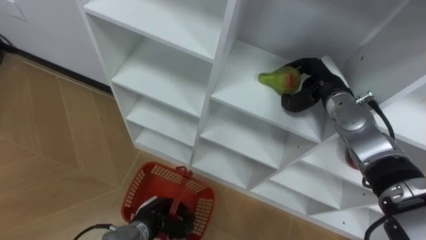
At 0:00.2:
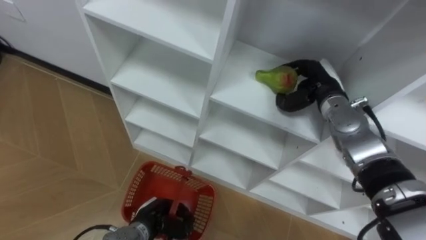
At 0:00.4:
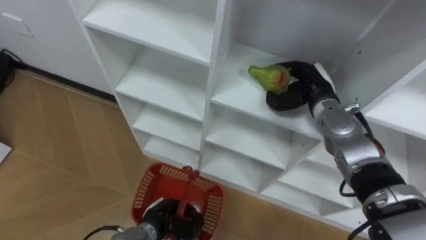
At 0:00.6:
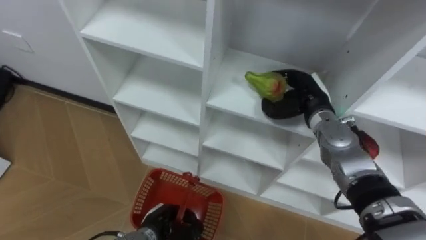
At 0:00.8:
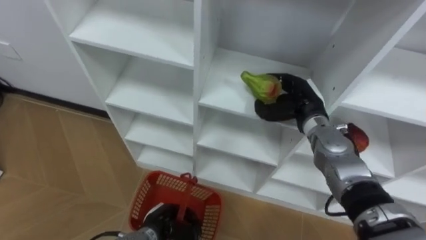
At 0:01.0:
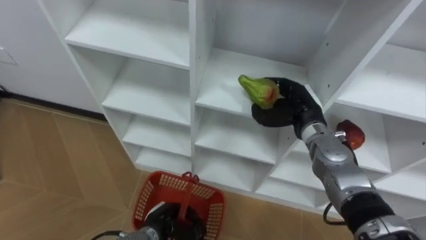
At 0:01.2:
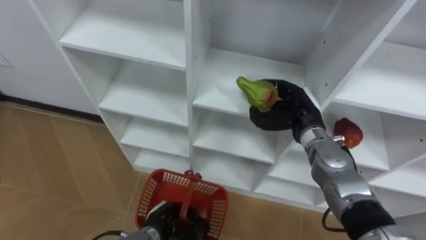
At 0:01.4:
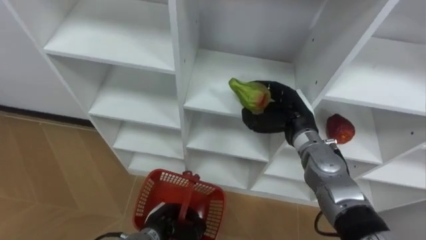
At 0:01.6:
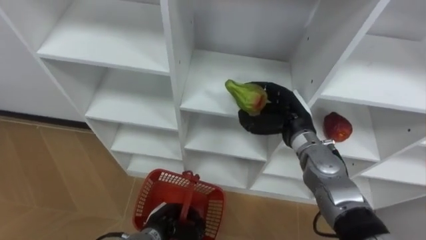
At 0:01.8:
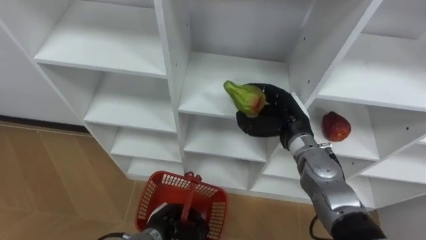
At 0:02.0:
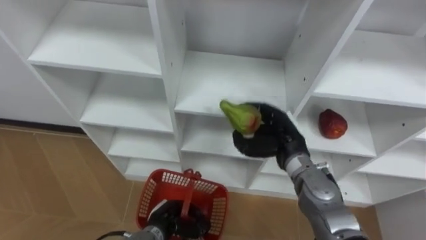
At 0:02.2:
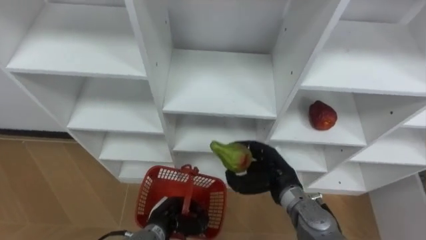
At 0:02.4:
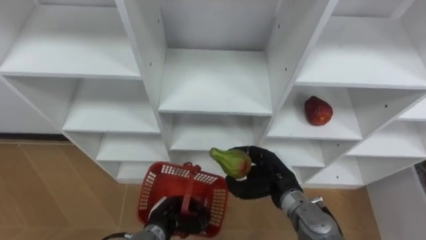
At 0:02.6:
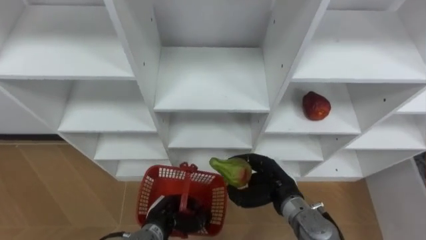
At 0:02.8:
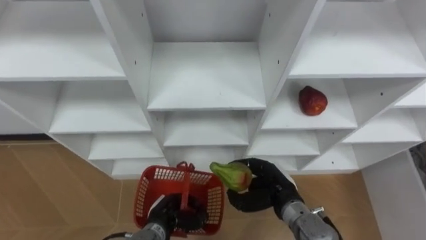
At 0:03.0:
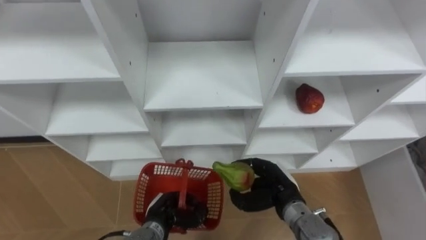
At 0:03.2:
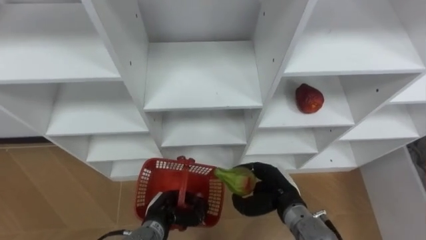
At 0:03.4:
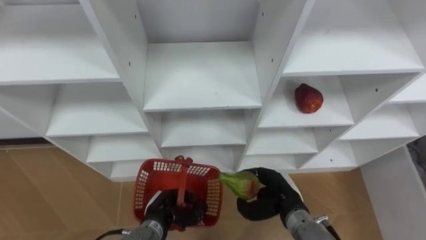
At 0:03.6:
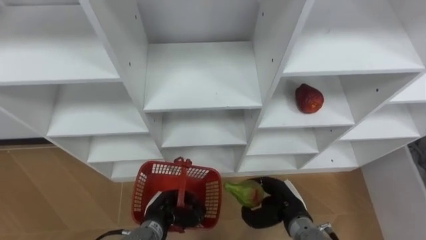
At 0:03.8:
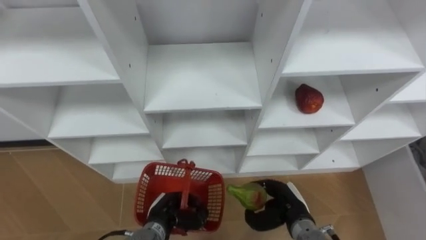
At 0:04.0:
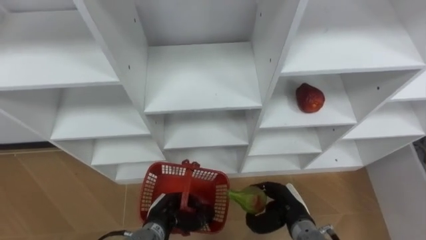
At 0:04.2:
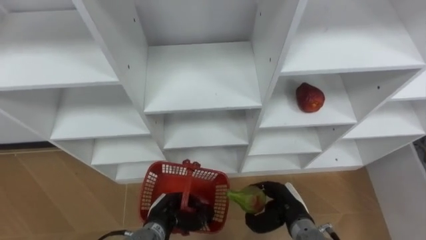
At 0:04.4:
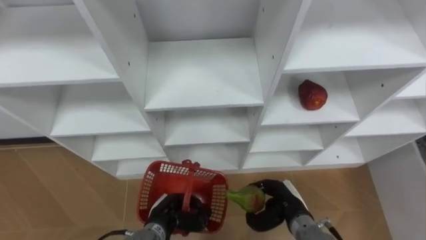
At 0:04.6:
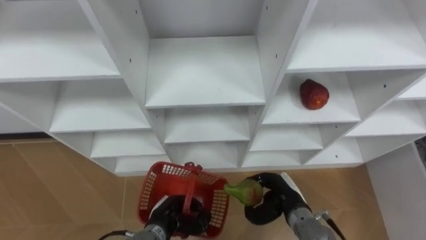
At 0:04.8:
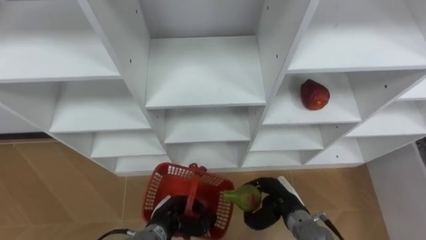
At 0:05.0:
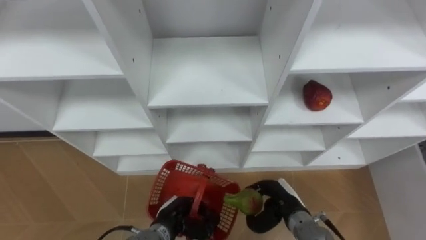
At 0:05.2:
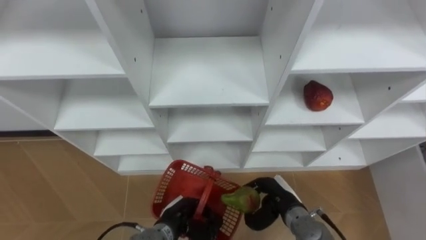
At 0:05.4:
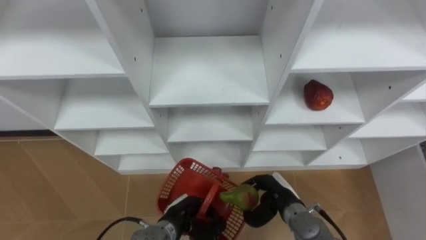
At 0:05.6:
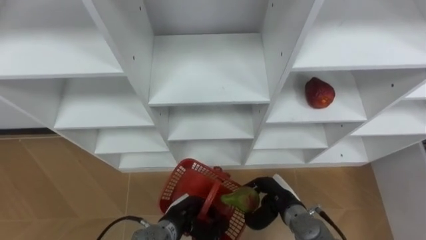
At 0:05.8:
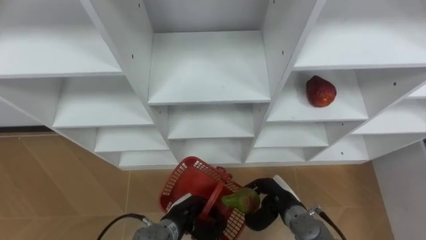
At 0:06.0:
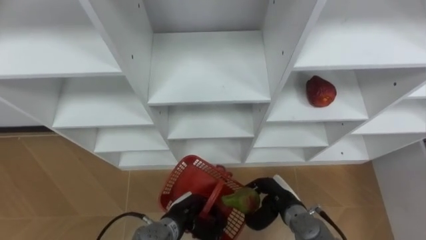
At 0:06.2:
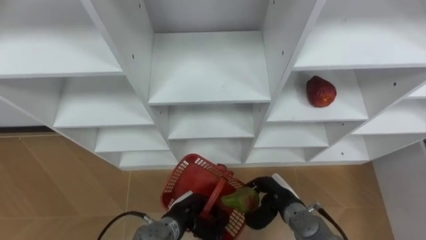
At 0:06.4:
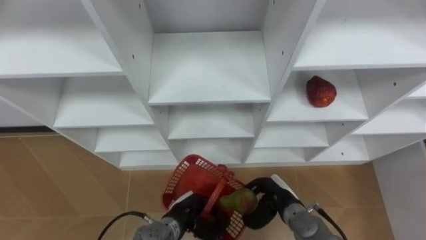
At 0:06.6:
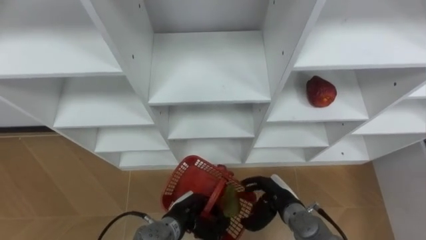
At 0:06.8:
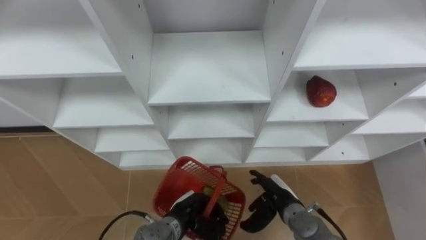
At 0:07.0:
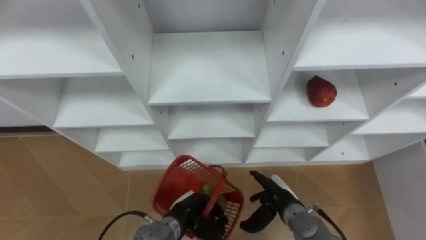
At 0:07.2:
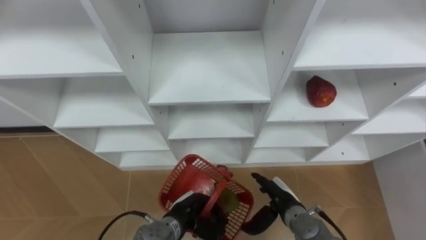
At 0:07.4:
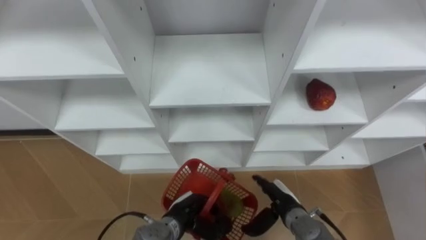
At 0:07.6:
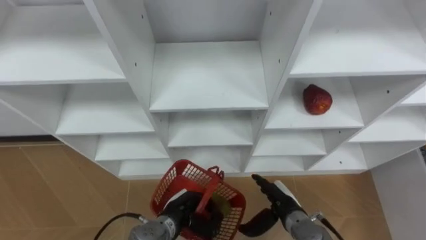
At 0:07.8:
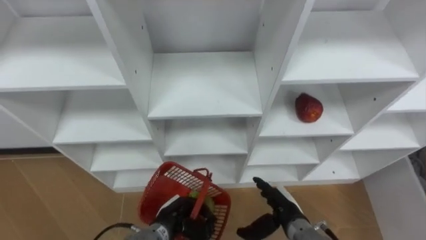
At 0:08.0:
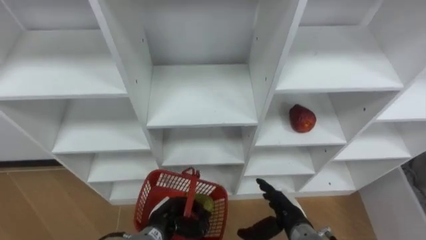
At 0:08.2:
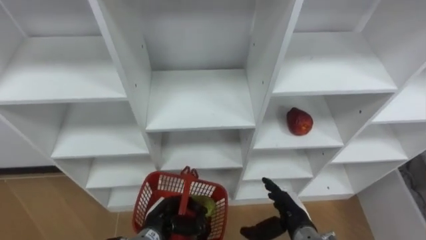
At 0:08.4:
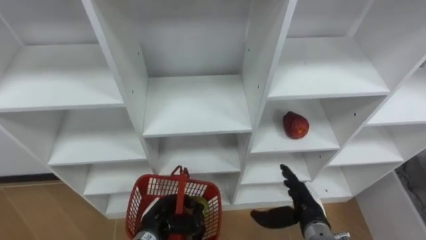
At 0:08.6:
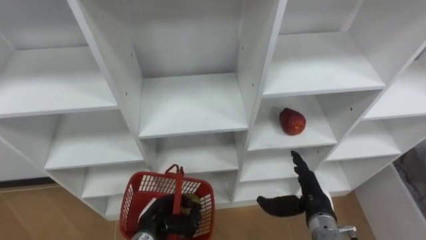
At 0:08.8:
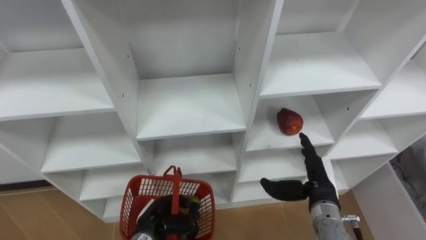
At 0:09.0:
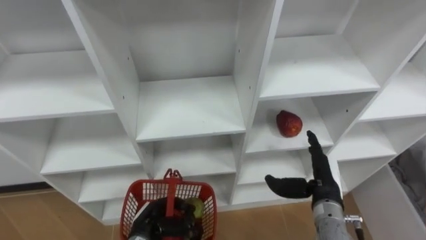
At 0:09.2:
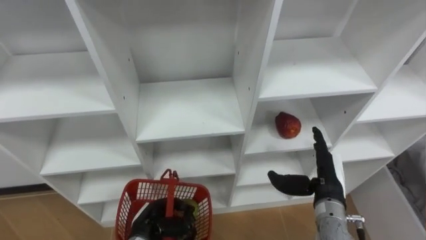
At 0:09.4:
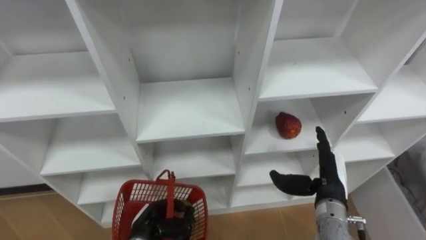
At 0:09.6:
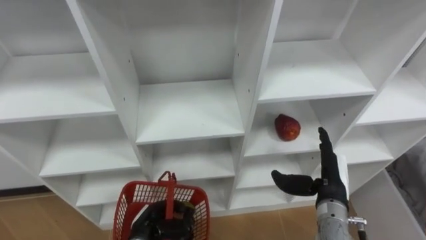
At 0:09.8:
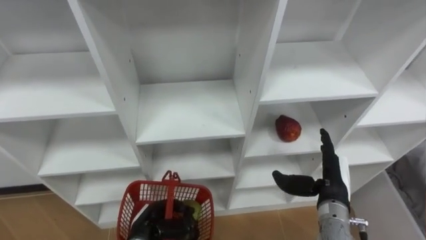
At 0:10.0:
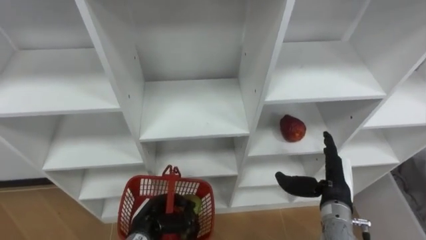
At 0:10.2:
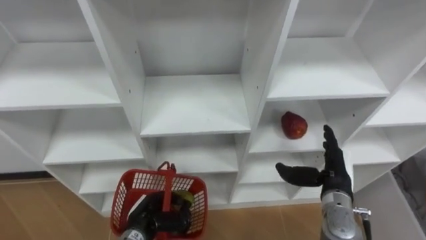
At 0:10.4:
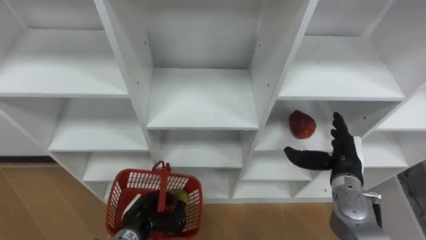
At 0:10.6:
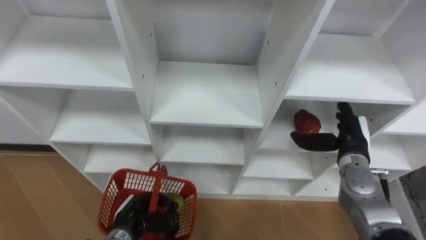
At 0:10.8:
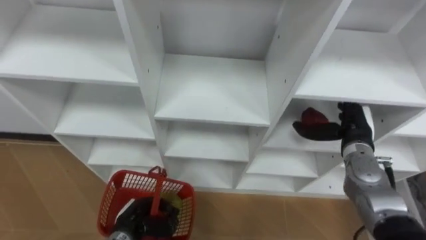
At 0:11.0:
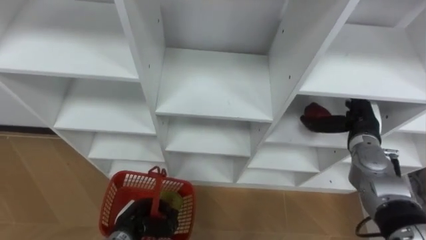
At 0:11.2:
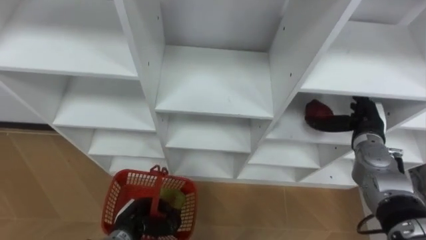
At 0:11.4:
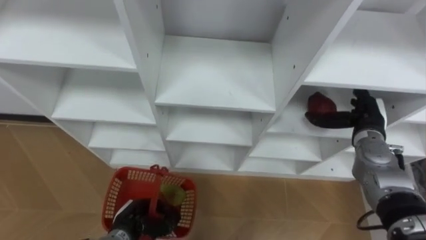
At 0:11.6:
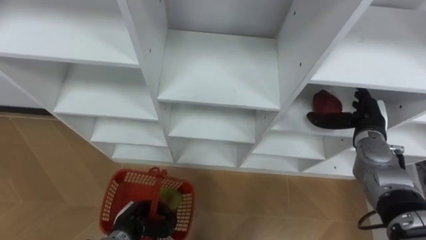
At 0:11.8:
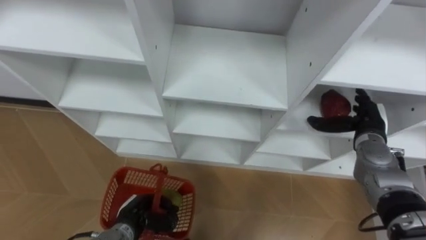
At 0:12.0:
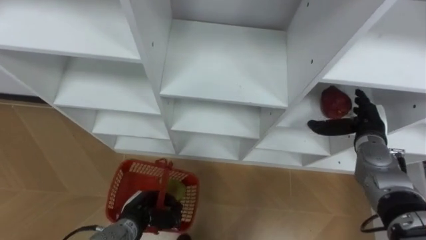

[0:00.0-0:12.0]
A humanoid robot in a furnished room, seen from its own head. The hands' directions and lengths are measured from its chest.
Task of the whole recording: Hold the basket and collect the fruits from 3 different cells of the closet into it.
0:00.0 to 0:01.6: The right hand shifts roughly 10 cm to the left and backward.
0:01.6 to 0:03.0: The right hand moves backward and downward, roughly 15 cm.
0:03.0 to 0:04.4: The right hand ends up about 5 cm from where it was.
0:06.0 to 0:07.6: The right hand opens its fingers.
0:07.6 to 0:09.0: The left hand goes some 5 cm to the left; the right hand heads upward and to the right, covering approximately 10 cm.
0:09.0 to 0:10.4: The right hand shifts by approximately 5 cm.
0:10.4 to 0:12.0: The right hand moves forward and to the right, some 10 cm.

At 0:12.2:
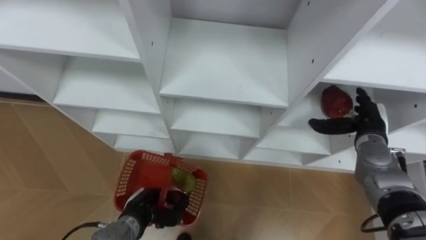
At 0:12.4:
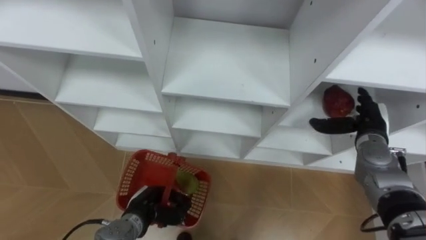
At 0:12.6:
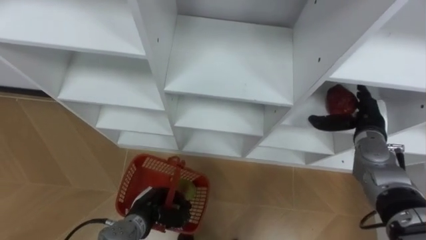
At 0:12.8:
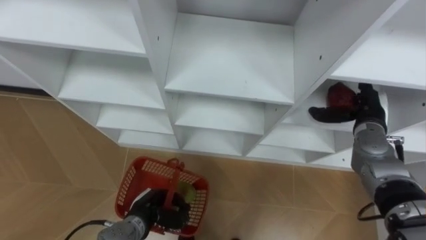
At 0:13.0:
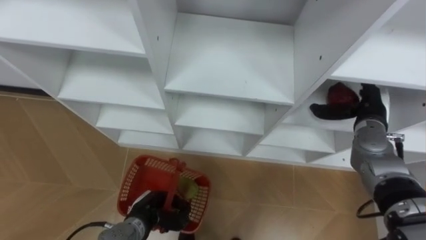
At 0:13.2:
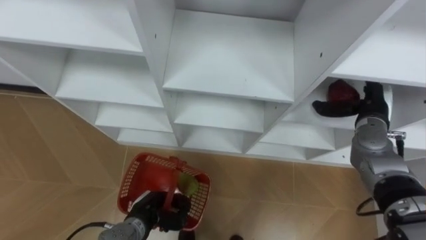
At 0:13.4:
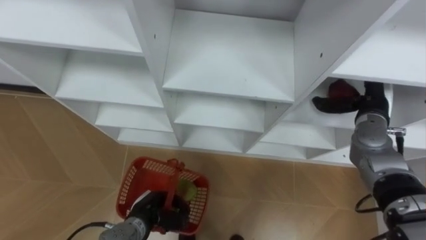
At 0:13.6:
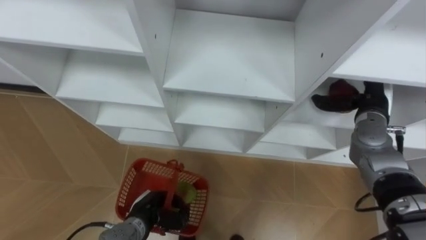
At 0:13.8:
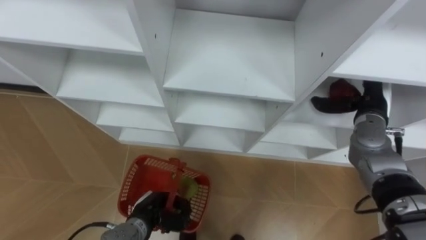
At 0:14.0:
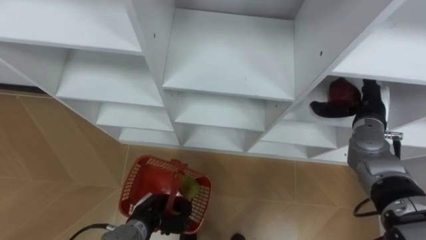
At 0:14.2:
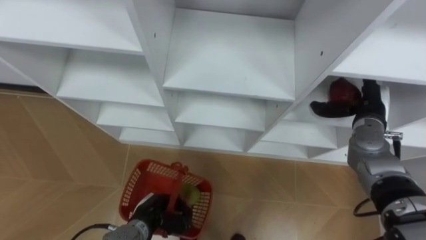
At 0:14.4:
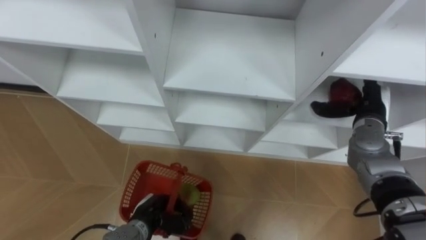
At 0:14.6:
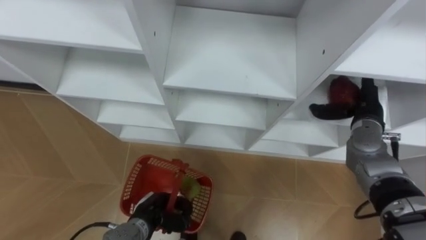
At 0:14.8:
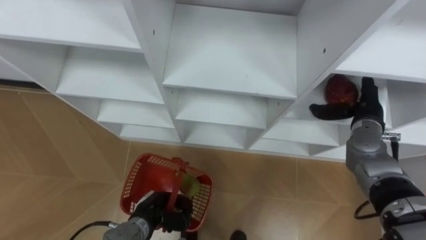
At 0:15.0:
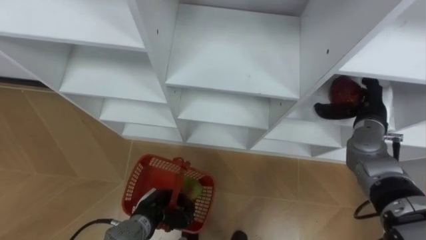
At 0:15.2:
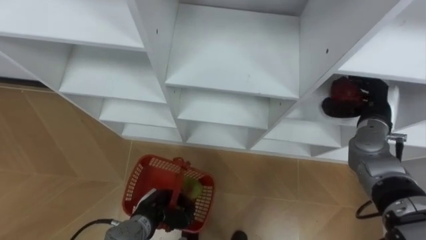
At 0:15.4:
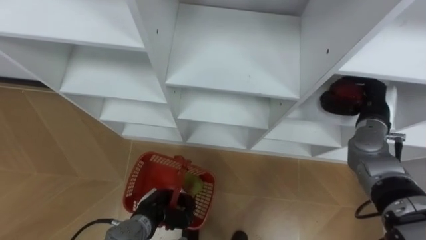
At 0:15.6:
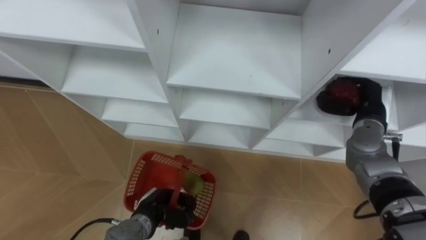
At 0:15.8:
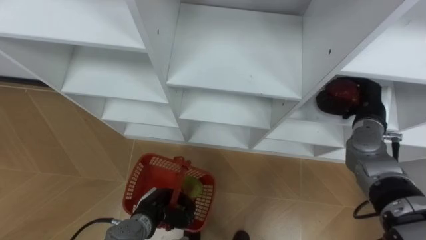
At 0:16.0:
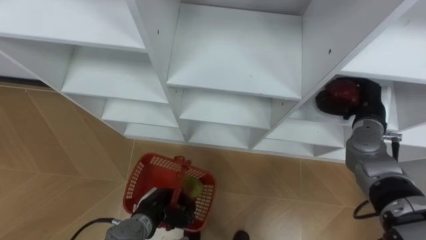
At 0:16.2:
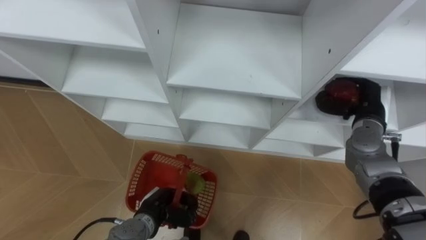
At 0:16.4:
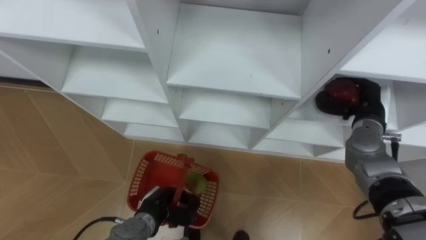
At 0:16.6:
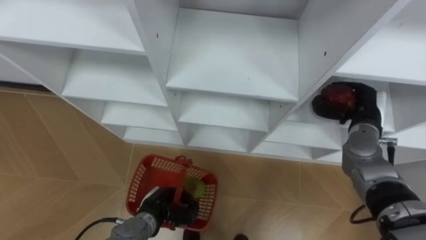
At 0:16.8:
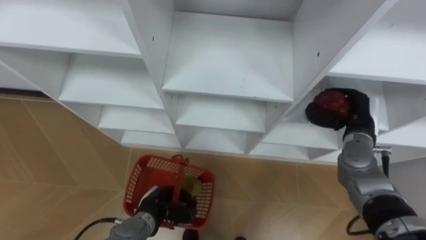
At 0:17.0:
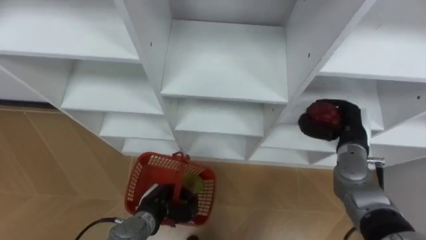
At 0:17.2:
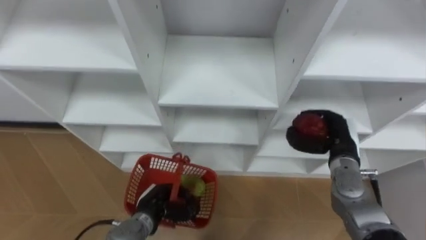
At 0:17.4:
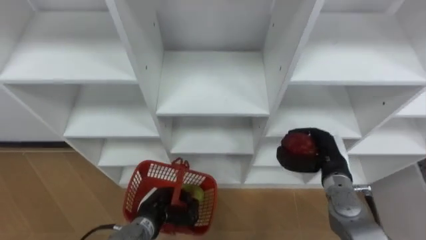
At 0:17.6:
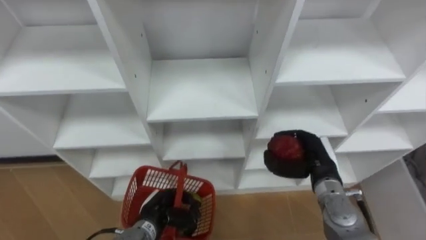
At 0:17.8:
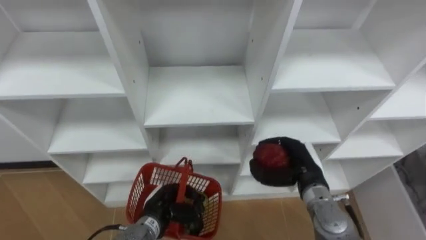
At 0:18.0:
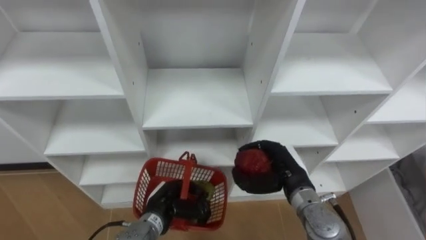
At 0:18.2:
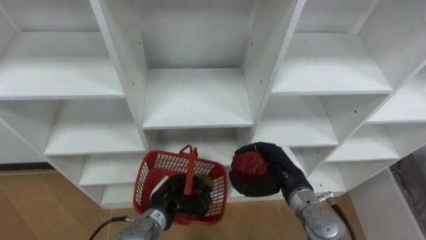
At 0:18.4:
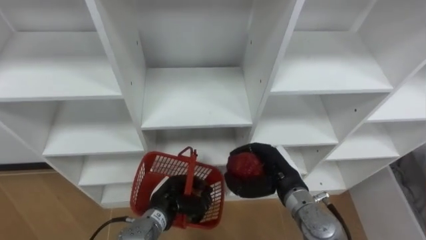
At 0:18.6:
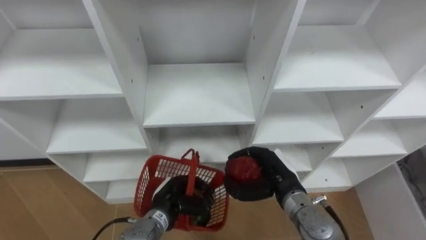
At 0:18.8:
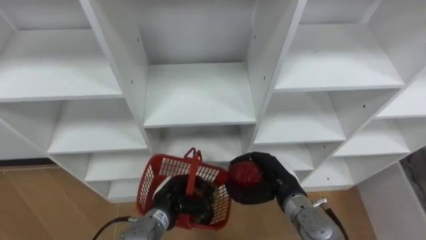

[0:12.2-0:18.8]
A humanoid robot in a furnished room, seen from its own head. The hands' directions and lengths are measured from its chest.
Task of the whole recording: Hold the basket and collect the fruits from 3 different cells of the closet into it.
0:13.8 to 0:15.4: The right hand closes its fingers.
0:15.4 to 0:17.2: The right hand heads to the left, covering some 5 cm.
0:17.2 to 0:18.8: The right hand heads to the left and backward, covering roughly 15 cm.
